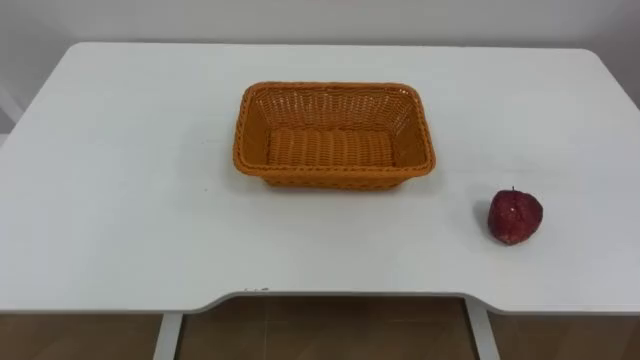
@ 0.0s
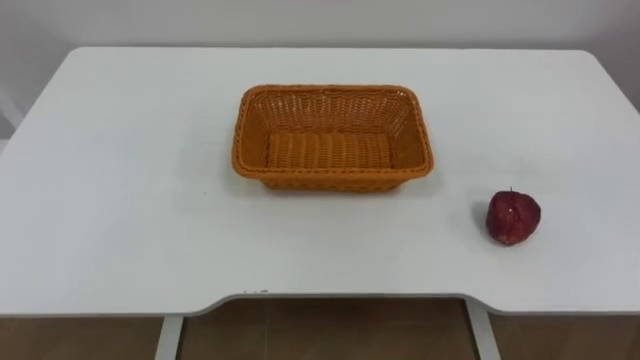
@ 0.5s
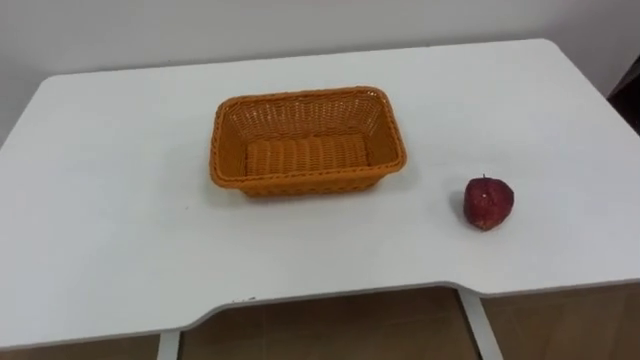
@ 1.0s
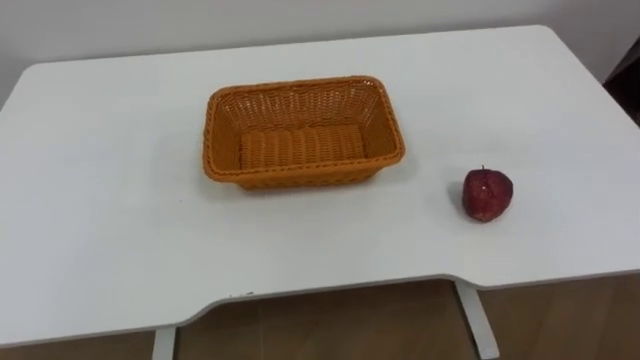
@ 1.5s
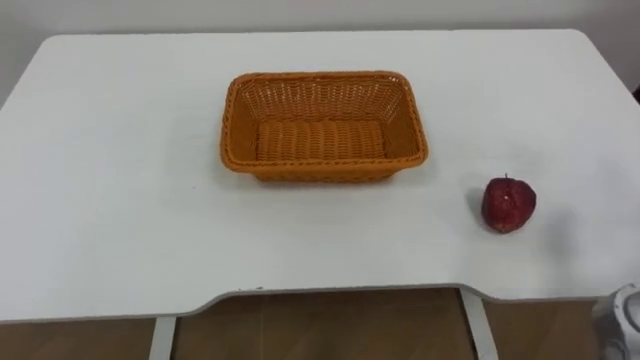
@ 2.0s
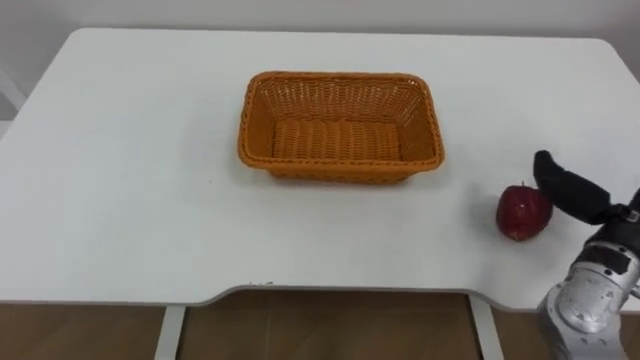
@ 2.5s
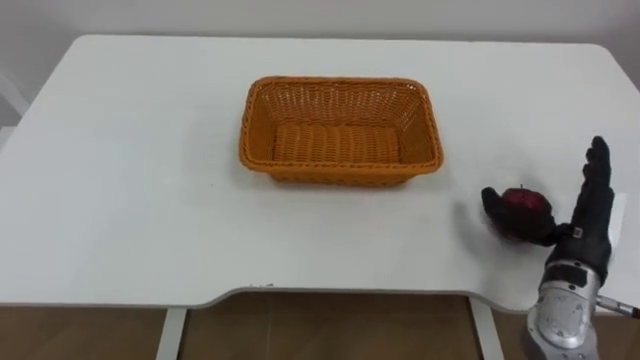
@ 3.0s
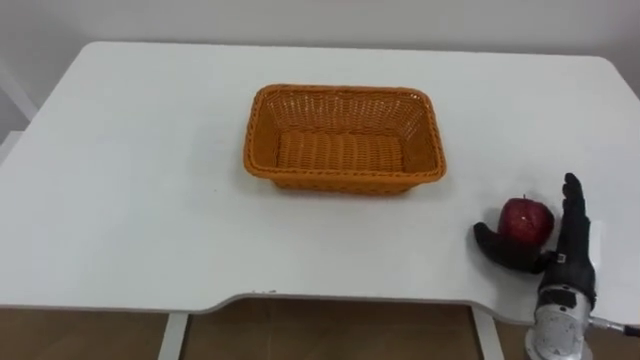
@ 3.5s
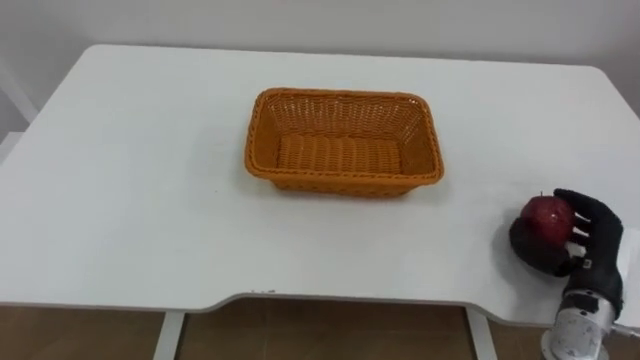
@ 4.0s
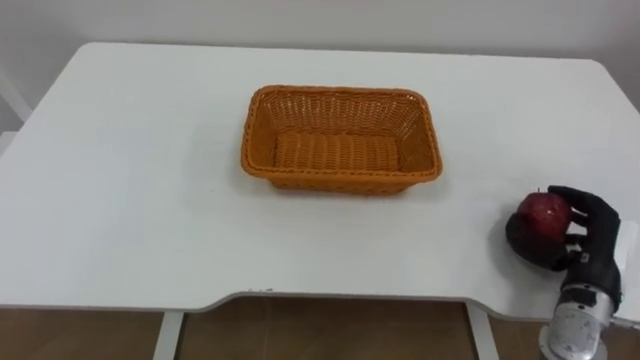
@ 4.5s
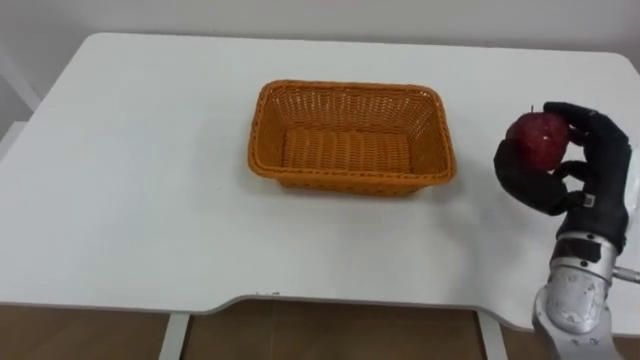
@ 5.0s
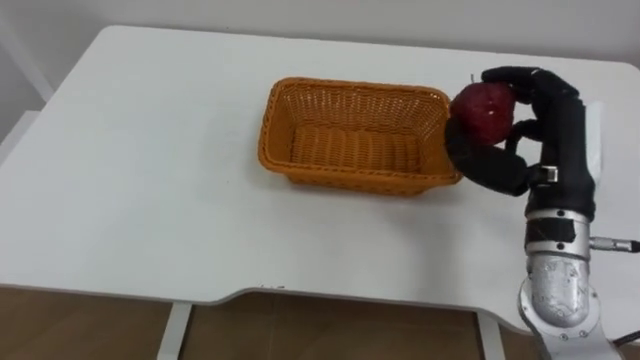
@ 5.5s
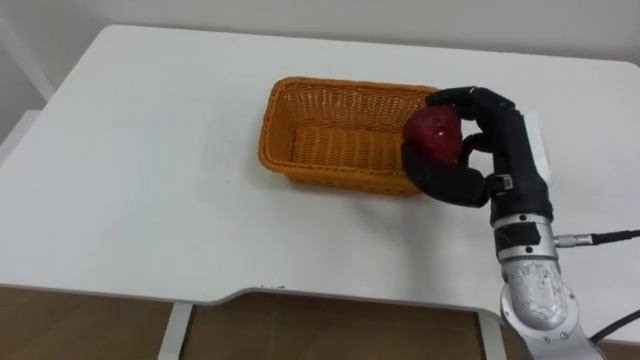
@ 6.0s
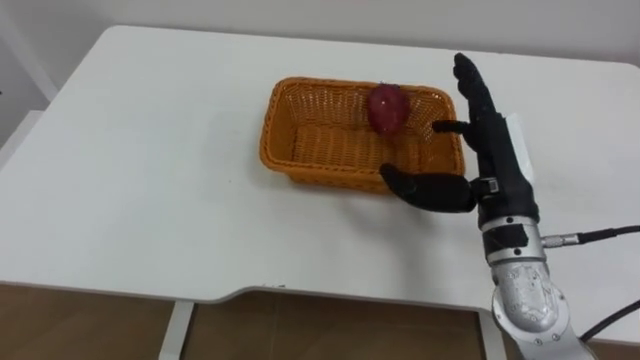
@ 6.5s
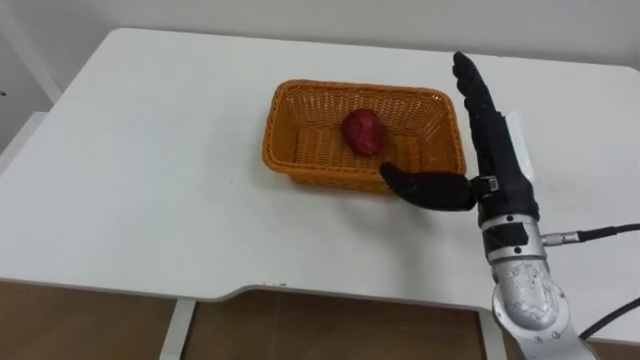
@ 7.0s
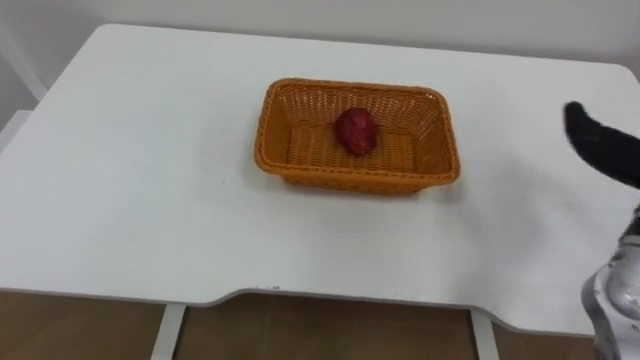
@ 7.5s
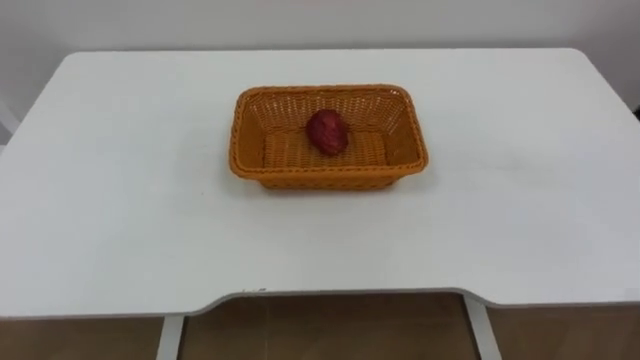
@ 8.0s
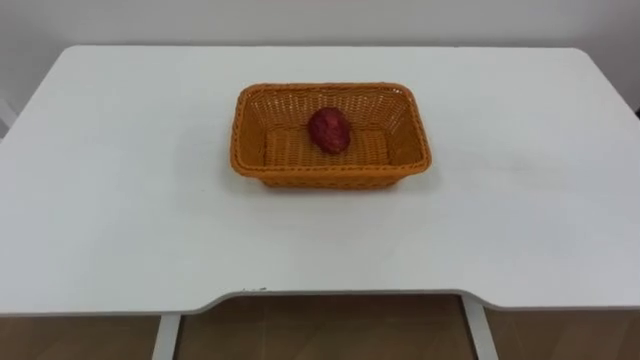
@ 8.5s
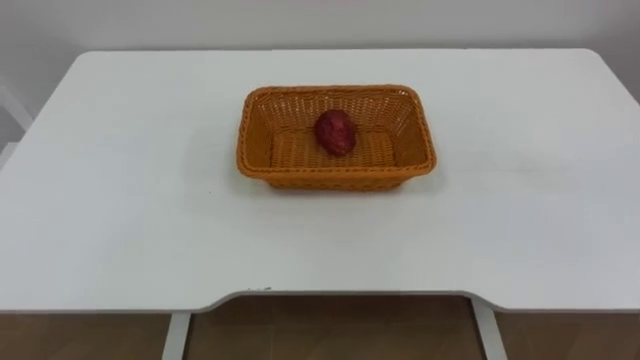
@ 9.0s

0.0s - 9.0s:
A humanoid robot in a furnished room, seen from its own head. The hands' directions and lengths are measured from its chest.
Task of the whole recording: Pick the apple and place it in the box.
4.5s - 7.0s: The right hand is displaced to the left and upward by roughly 20 cm, and opens its fingers.

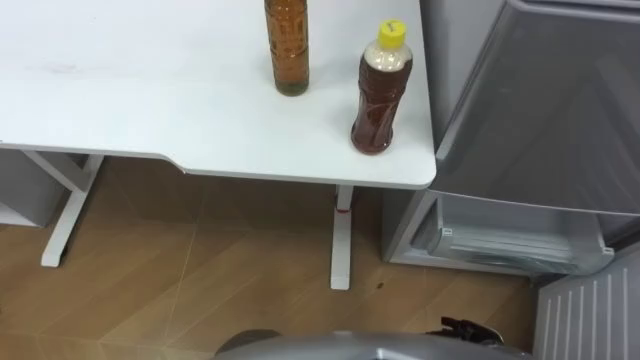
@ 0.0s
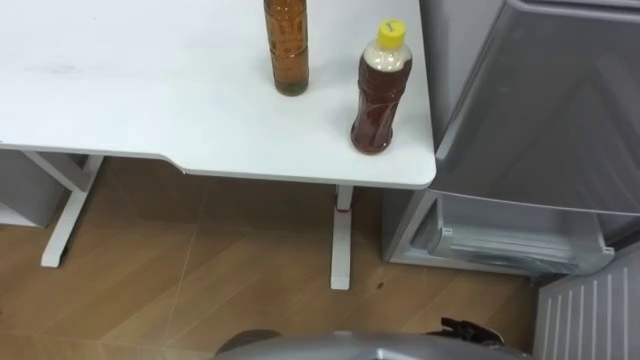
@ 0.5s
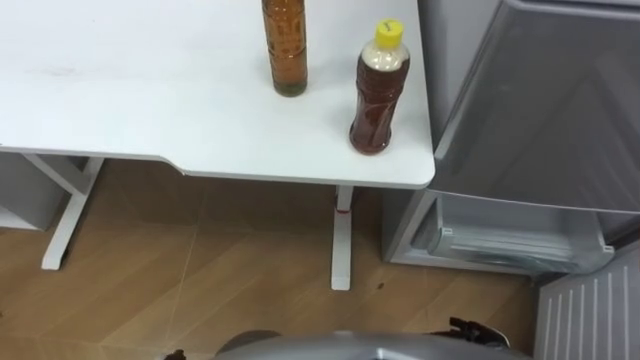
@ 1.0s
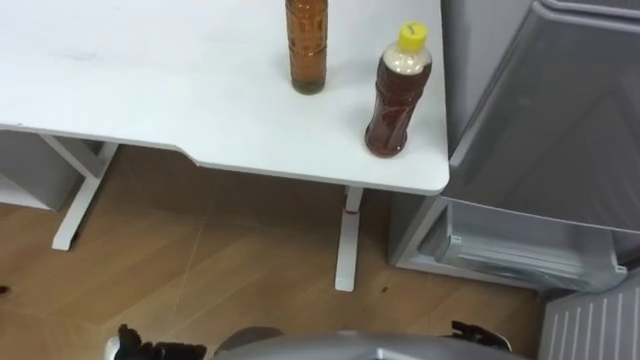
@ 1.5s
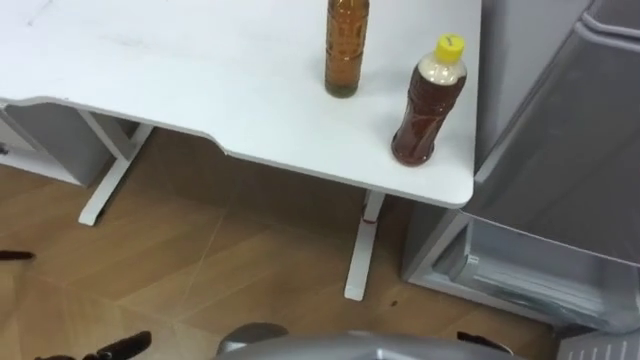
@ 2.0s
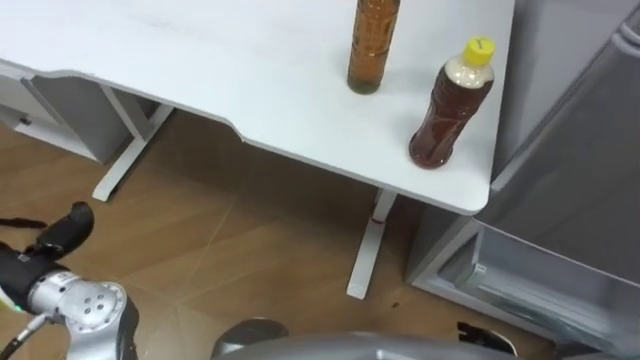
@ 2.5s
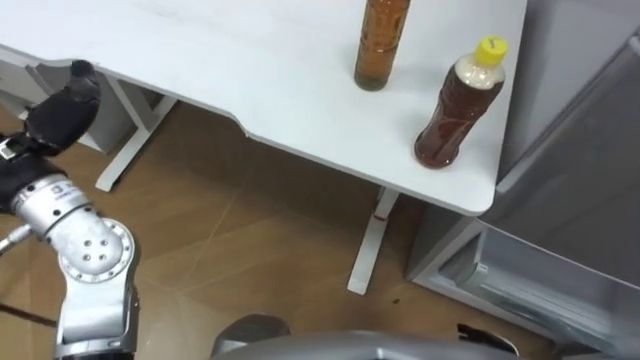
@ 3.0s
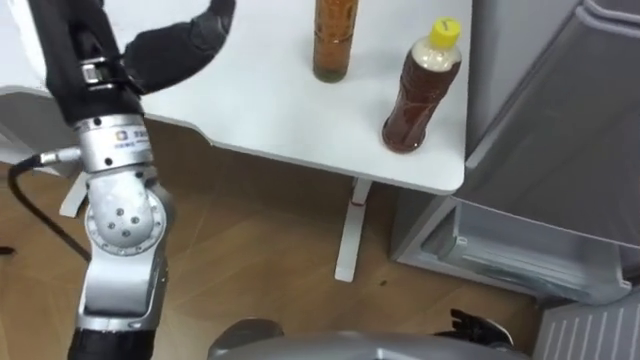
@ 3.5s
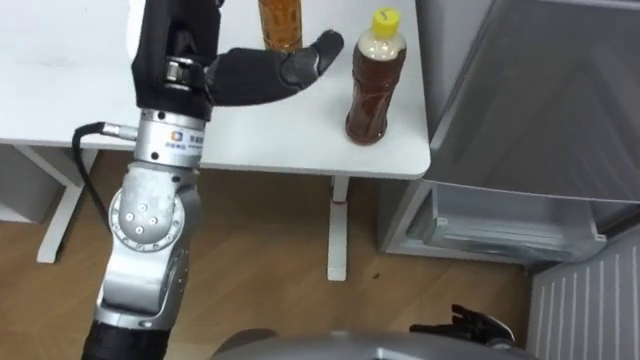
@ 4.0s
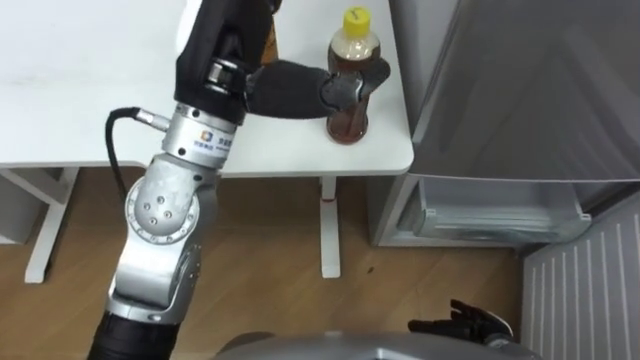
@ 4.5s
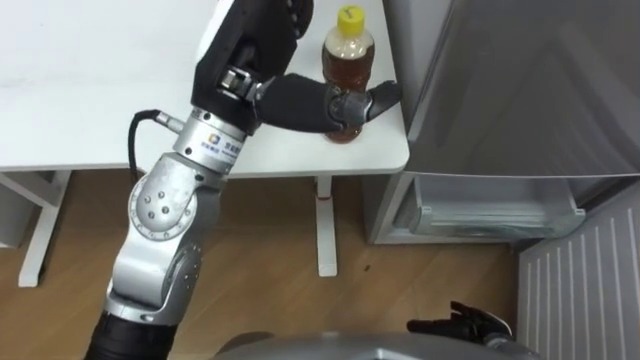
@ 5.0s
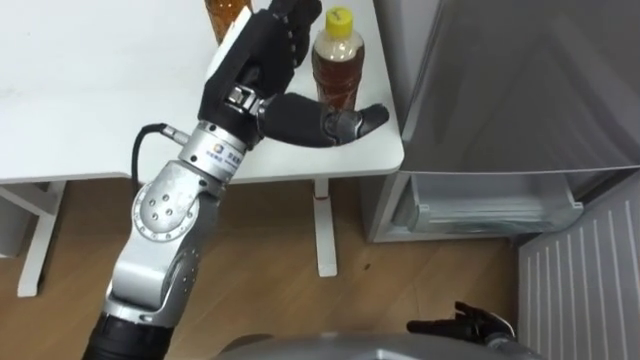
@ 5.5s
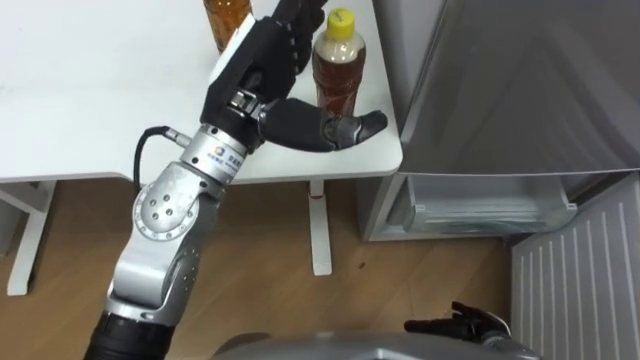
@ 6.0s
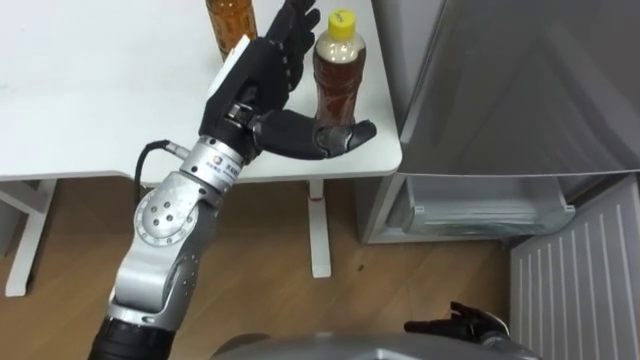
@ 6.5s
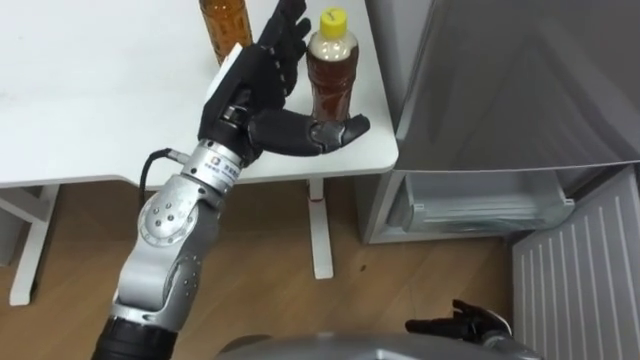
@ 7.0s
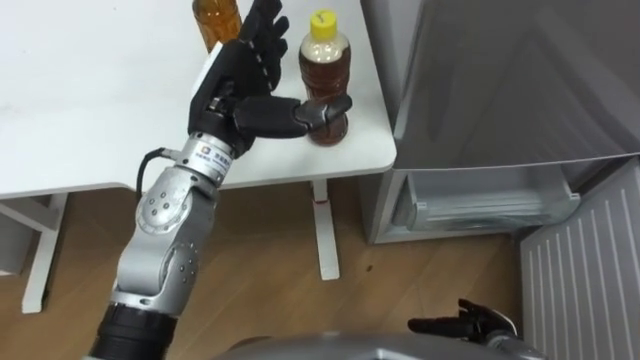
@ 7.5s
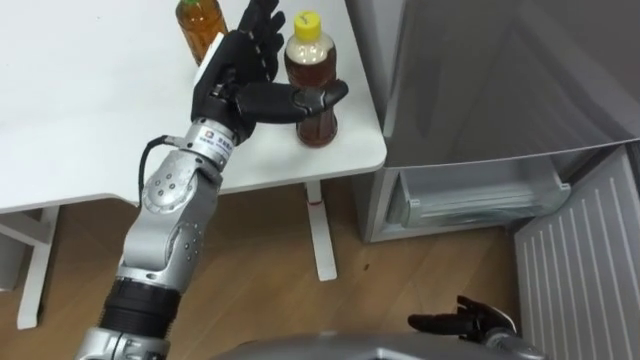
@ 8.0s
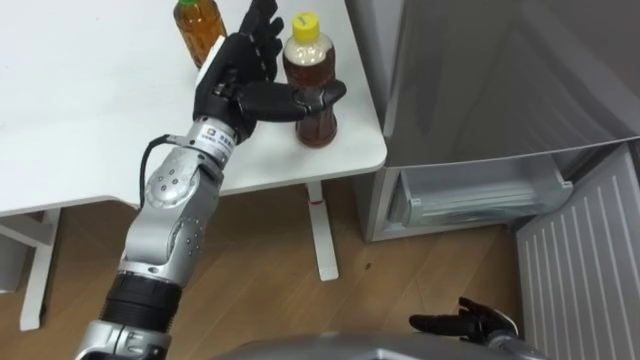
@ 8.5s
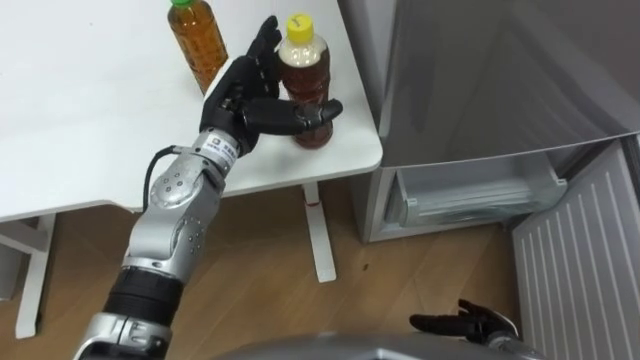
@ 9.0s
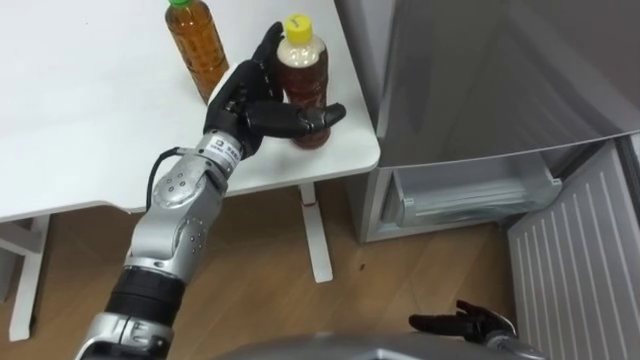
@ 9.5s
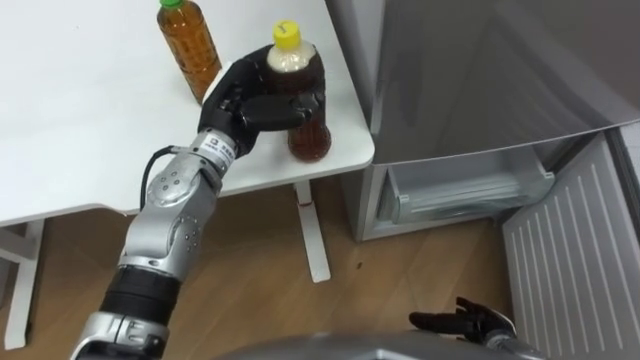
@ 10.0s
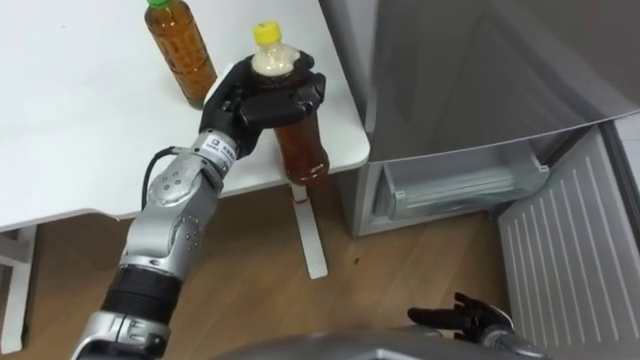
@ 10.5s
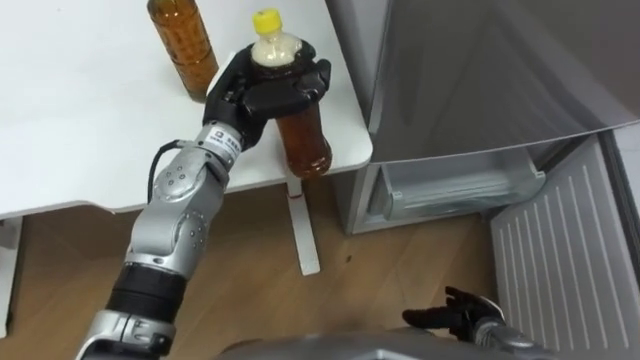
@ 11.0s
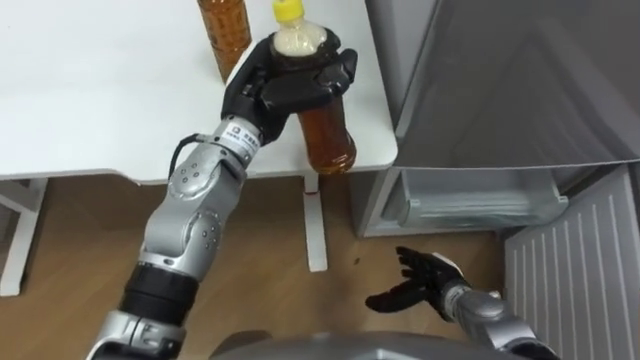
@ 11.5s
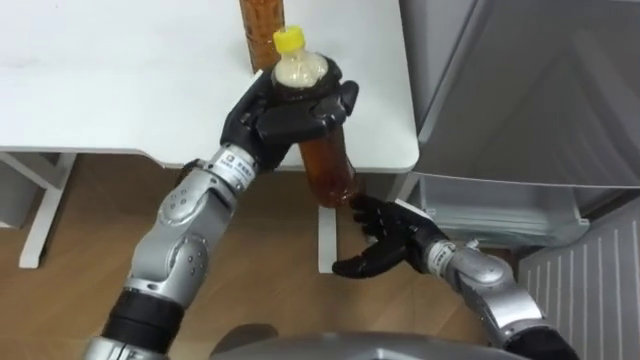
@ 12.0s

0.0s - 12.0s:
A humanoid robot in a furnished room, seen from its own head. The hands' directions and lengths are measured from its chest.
Task of the whole recording: Place the drink on the table on the bottom shelf of the refrigerator, then close the drawer and the refrigerator door.
4.0s - 6.0s: The left hand moves downward and to the right, approximately 10 cm.
6.0s - 8.0s: The left hand shifts roughly 5 cm downward.
8.0s - 10.0s: The left hand closes up.
10.0s - 12.0s: The right hand moves forward, to the left and upward, approximately 20 cm.
